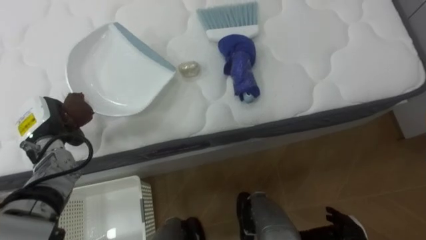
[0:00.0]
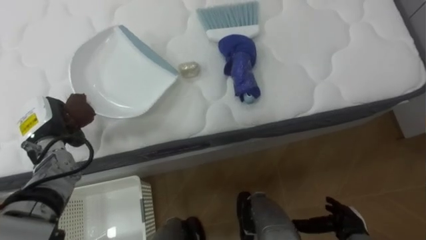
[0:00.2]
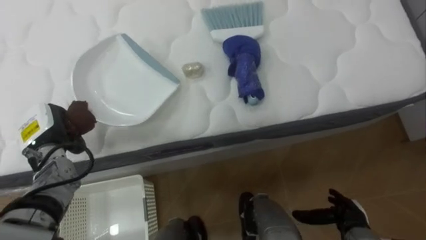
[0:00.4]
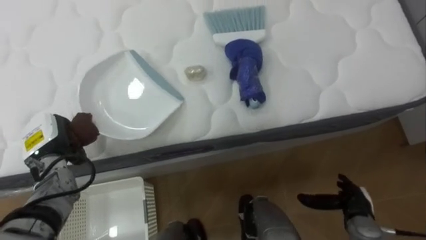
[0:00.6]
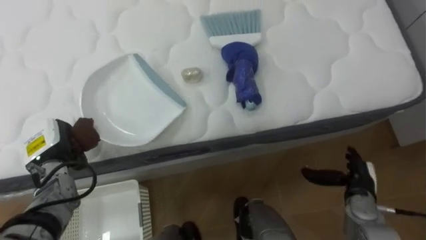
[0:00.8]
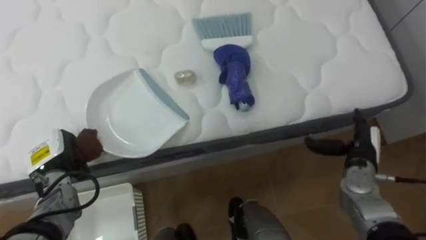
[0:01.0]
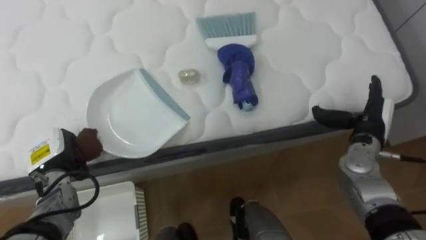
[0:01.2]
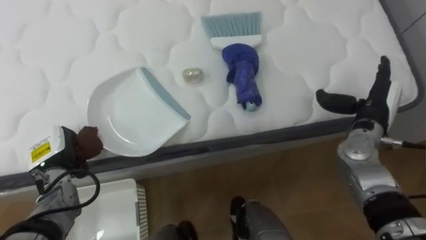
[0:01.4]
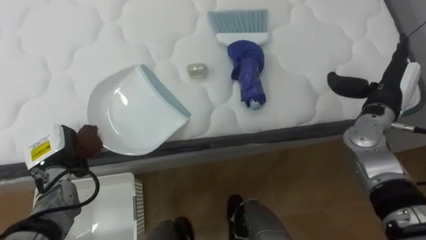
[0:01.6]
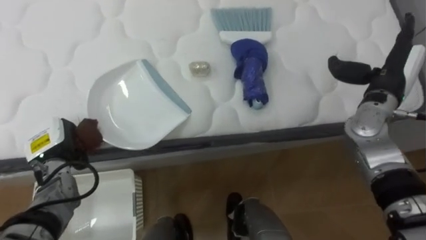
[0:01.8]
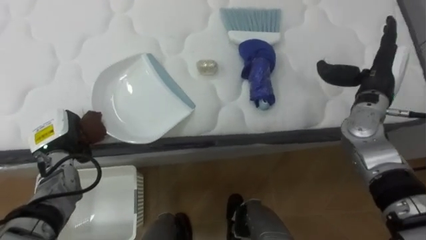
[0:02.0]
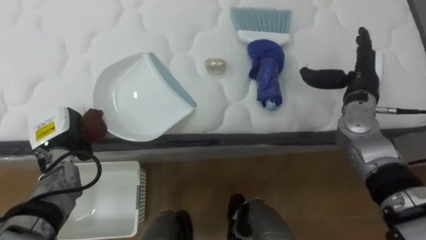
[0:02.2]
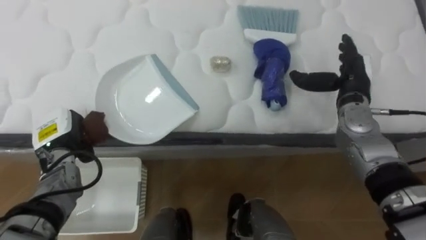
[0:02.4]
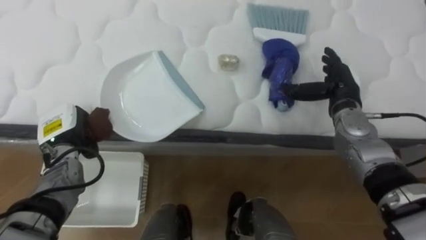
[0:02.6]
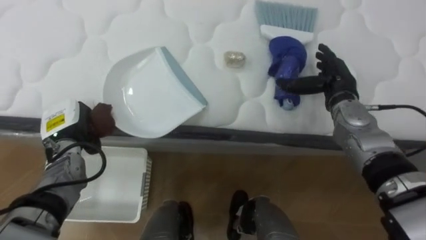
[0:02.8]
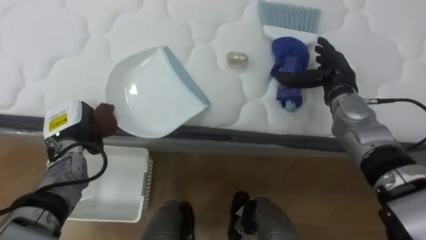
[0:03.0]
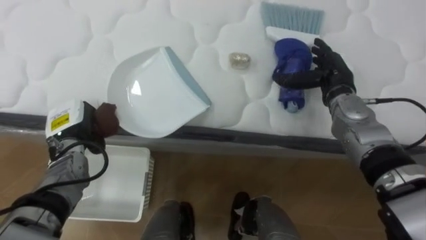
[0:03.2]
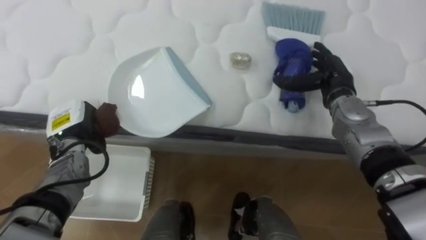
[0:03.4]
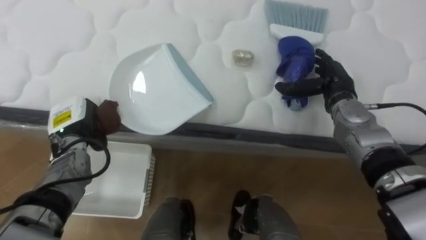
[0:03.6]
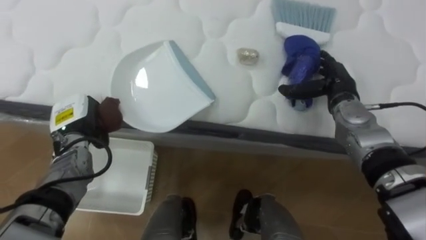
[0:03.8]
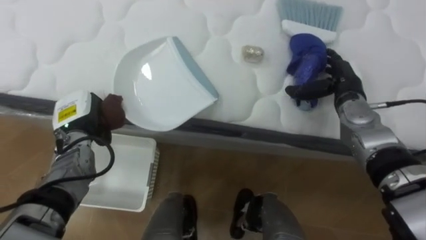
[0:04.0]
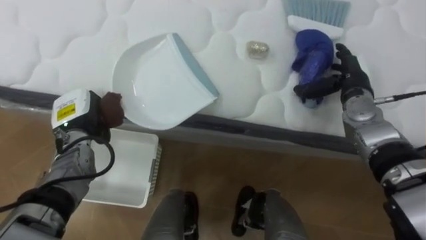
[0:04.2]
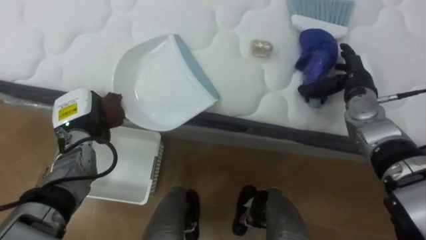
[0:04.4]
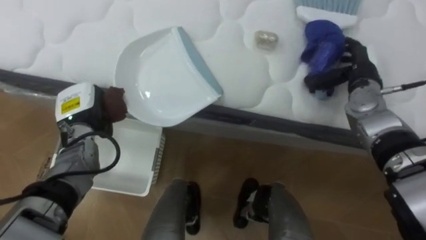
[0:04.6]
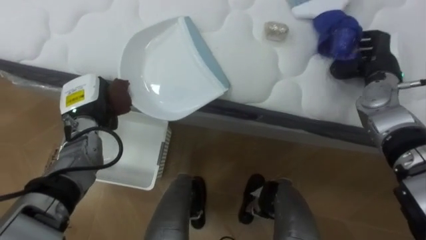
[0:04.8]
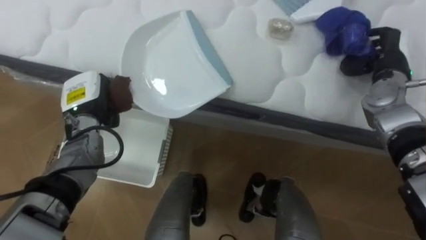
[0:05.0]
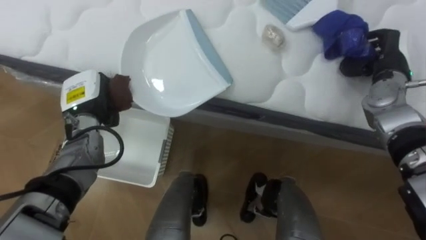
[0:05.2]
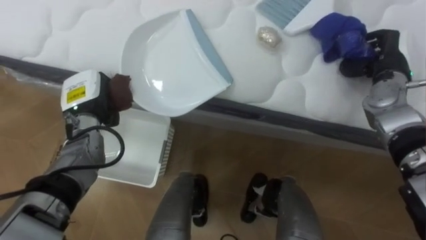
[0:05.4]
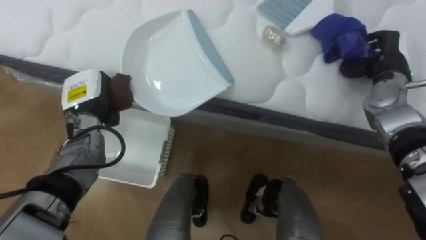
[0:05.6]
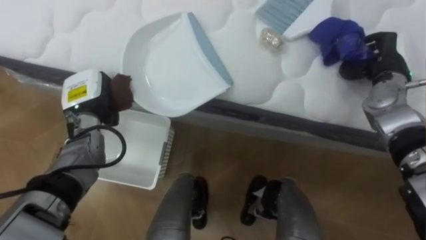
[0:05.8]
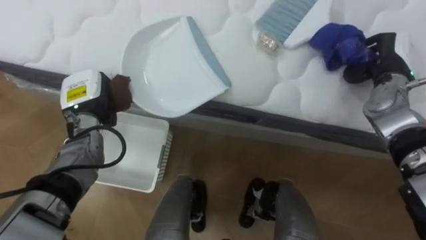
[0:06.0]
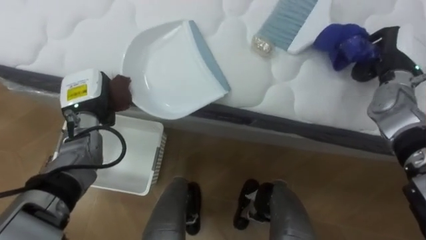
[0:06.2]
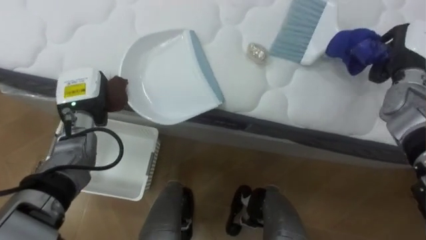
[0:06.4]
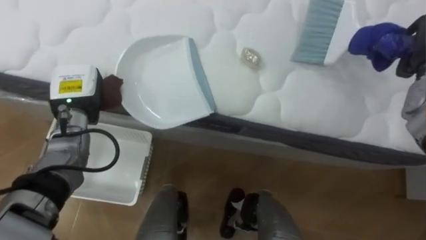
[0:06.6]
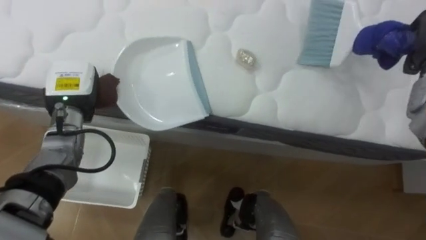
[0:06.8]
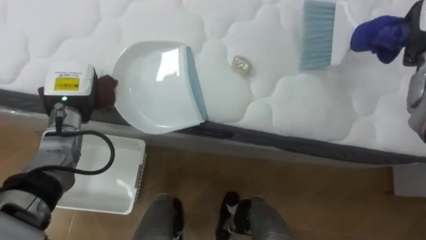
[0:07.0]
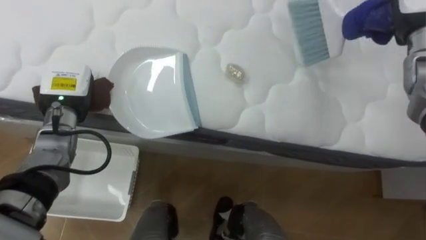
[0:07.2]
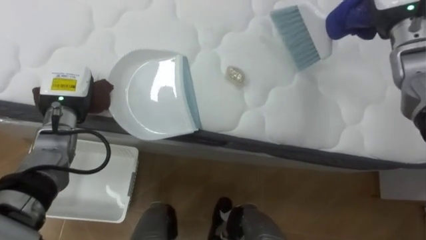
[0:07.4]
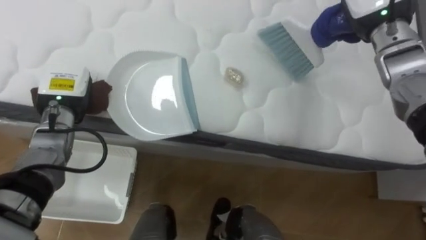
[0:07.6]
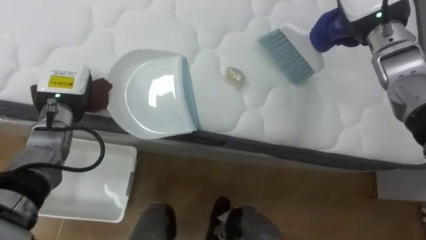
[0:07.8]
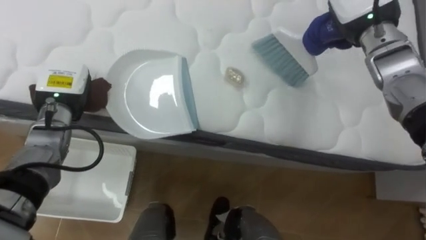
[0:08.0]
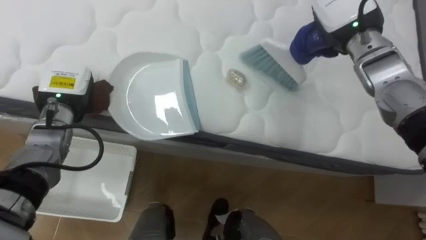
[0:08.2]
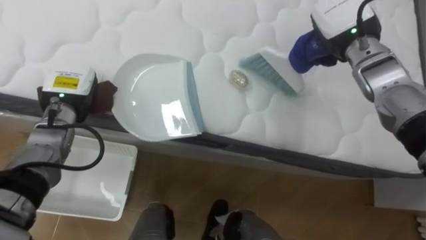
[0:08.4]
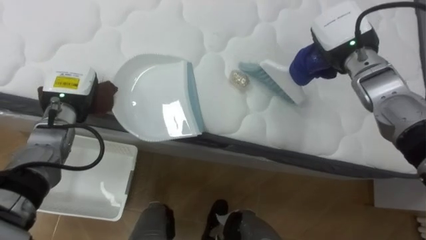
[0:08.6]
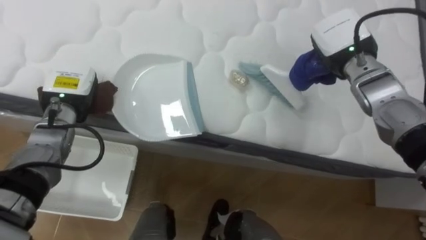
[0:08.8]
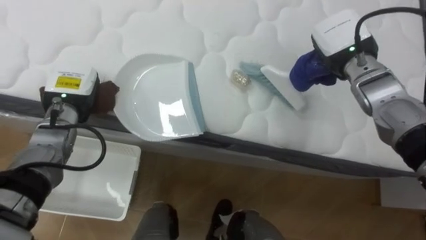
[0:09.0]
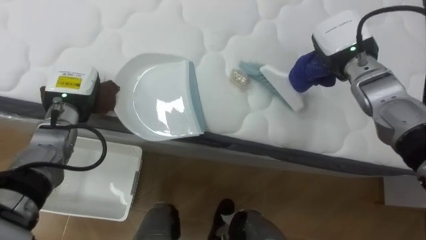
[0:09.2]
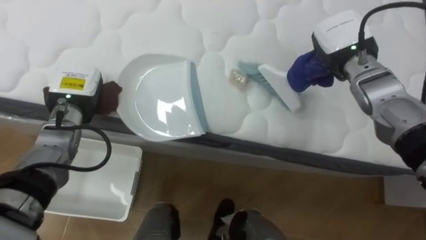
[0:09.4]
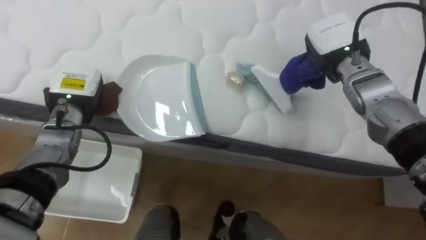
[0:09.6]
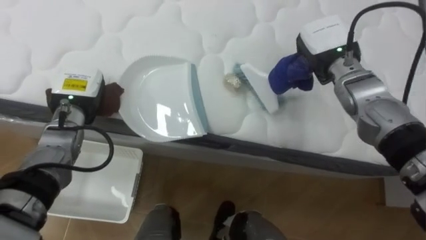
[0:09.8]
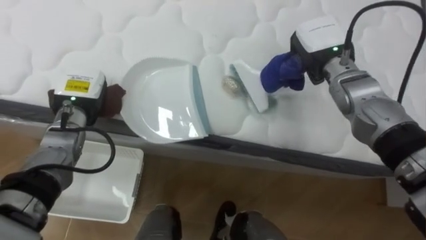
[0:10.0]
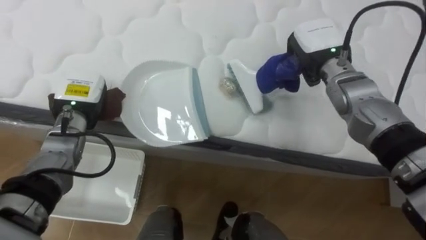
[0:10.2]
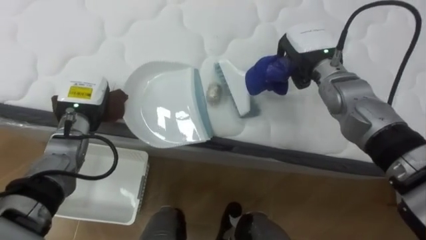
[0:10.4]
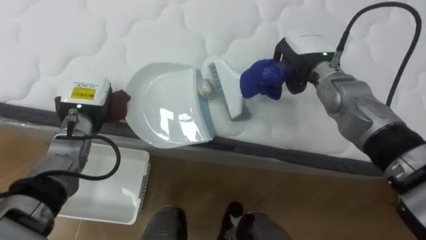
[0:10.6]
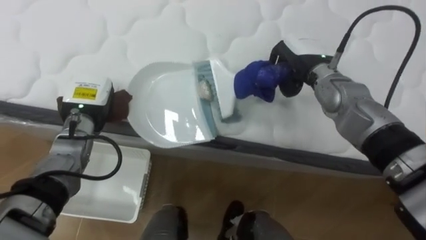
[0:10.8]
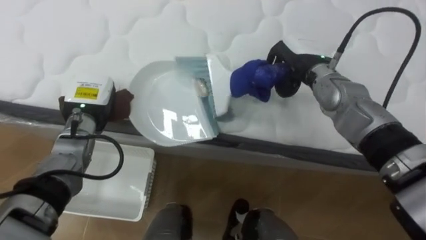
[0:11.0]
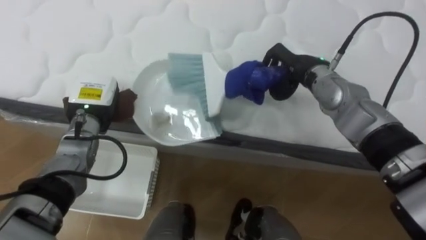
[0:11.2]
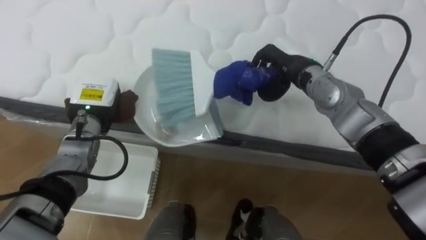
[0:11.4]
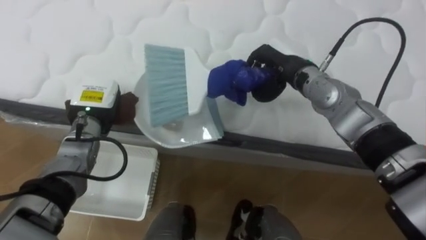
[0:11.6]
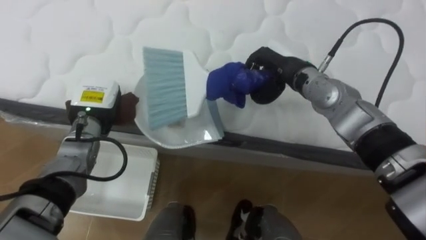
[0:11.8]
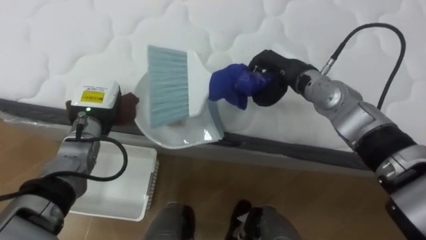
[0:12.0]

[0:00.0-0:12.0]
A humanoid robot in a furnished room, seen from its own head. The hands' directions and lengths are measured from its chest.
Task of the whole recording: Pick up the brush on your right and the dustpan on your left. Use the brush to sweep the crumpled paper on the bed into the dustpan, then turn left and empty it into the basket.
0.0 to 1.6 s: The left hand changes place by some 5 cm.
1.6 to 3.0 s: The right hand travels to the left and forward by roughly 10 cm. The left hand moves approximately 5 cm.
4.4 to 6.0 s: The right hand ends up some 5 cm from where it was, and closes up.
9.0 to 10.4 s: The right hand travels to the left by about 5 cm.

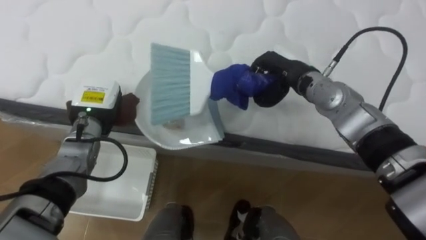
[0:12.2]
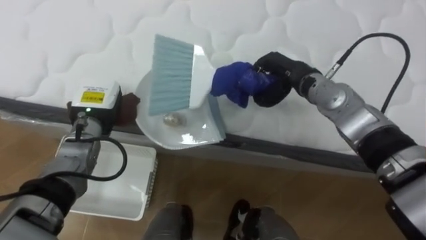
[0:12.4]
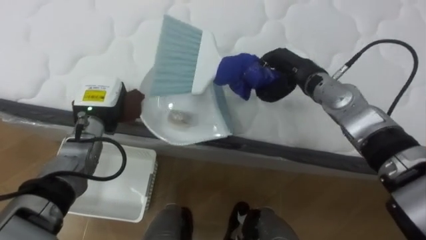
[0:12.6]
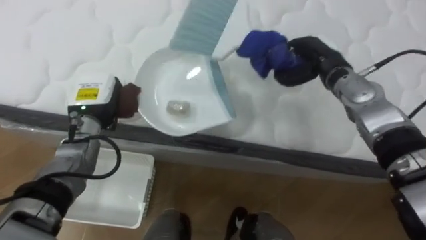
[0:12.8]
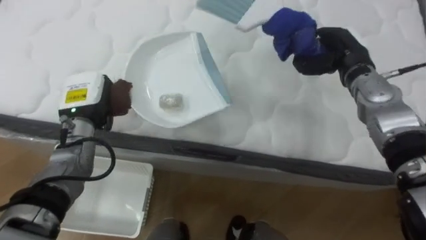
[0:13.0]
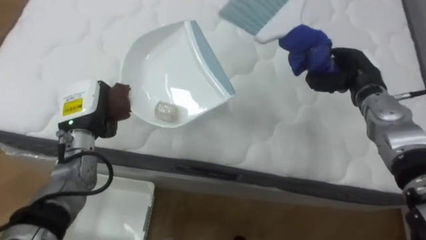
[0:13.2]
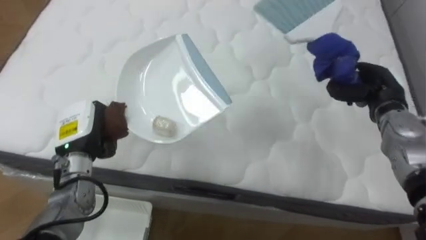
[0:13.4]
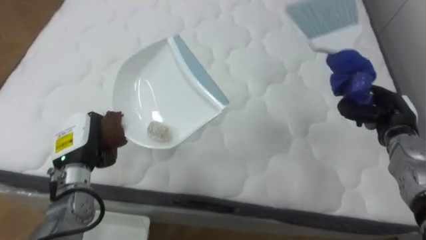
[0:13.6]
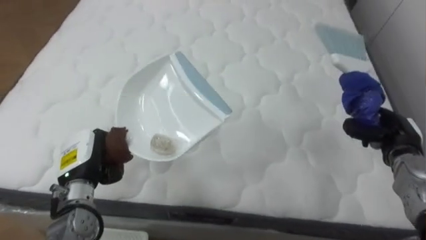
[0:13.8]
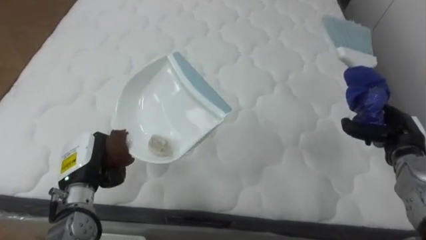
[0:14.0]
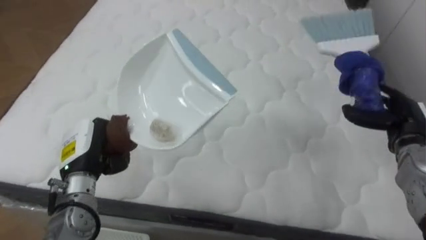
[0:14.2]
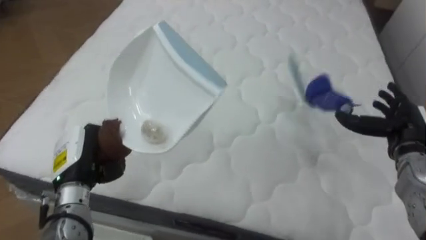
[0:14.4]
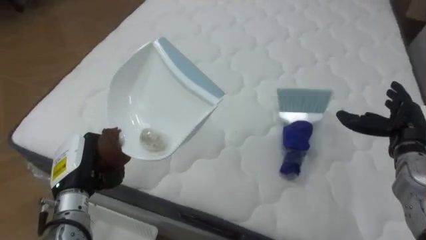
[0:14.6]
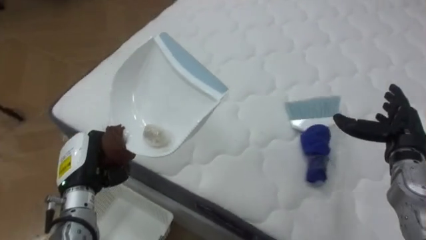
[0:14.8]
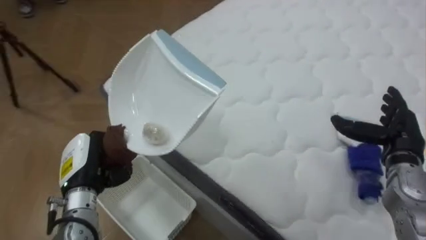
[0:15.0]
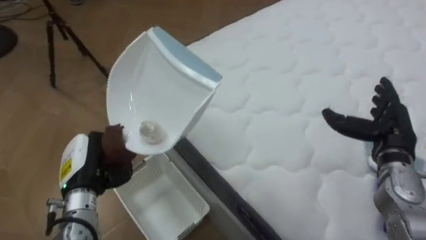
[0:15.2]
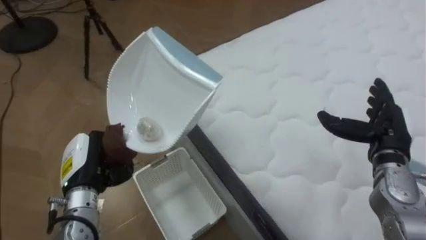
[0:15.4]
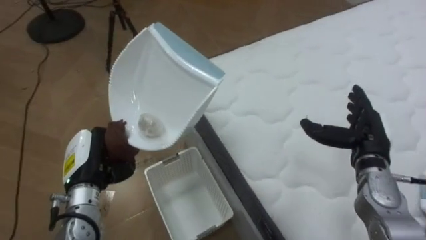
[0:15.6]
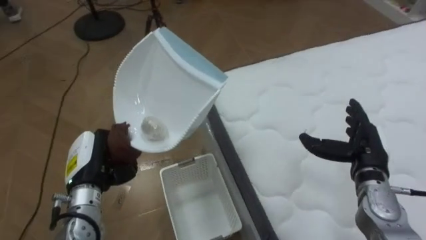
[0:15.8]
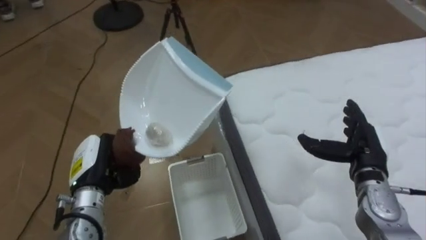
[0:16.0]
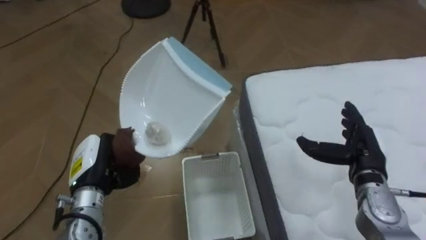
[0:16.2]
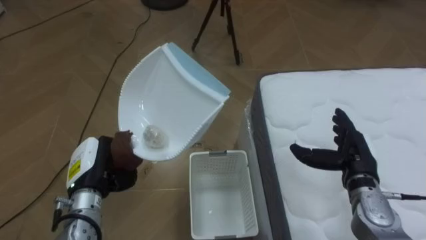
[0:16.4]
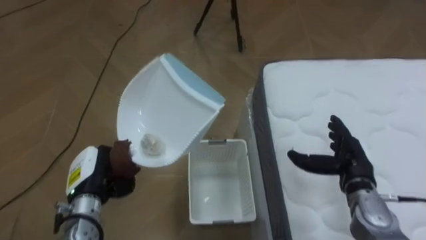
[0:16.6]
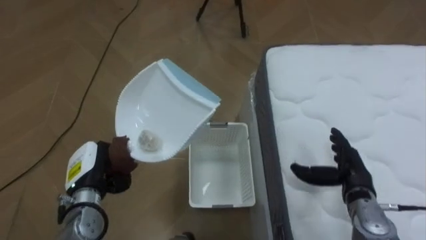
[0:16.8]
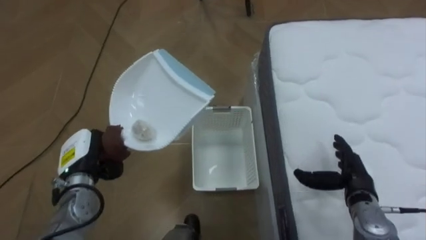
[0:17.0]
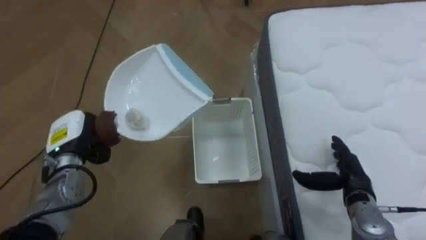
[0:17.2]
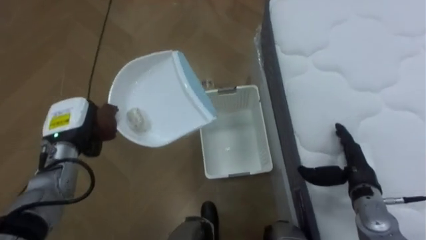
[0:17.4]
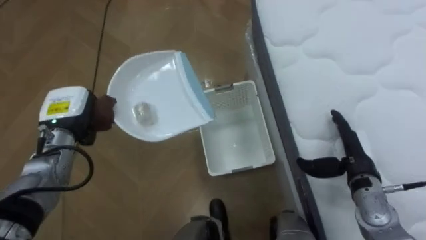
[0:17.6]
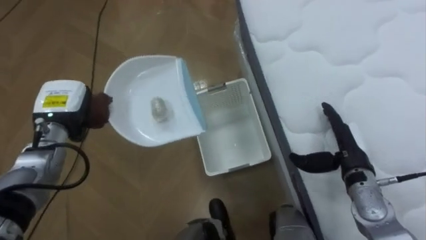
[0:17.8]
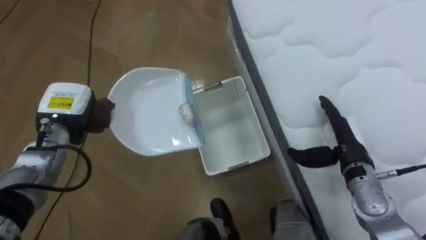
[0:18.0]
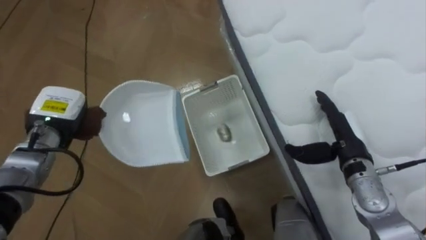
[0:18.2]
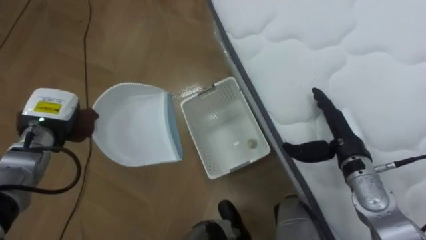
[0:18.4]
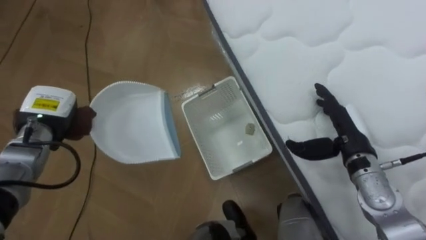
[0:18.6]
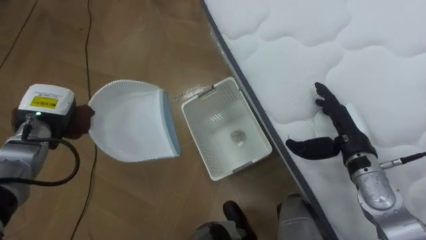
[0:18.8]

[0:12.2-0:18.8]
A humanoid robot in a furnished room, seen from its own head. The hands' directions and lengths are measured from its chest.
Task of the whole recording: Pick up the brush on your right and the dustpan on your left. Use the brush to sweep the crumpled paper on the bed into the dustpan, then turn left and empty it into the basket.
12.2 to 13.8 s: The right hand moves to the right, backward and downward, about 25 cm, while the left hand is displaced backward by roughly 10 cm.
13.8 to 15.4 s: The robot rotates roughly 50 degrees to its left. The right hand shifts by roughly 5 cm, and opens its fingers.
15.4 to 17.2 s: The robot's body swings roughly 35 degrees to its left. The left hand goes approximately 5 cm forward. The right hand goes some 10 cm downward.
17.2 to 18.8 s: The left hand shifts by some 5 cm. Meanwhile the right hand moves upward, about 10 cm.
